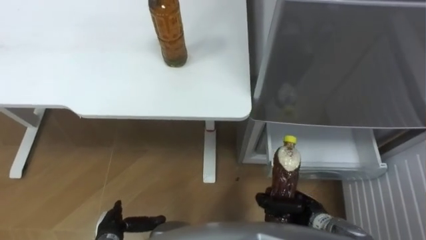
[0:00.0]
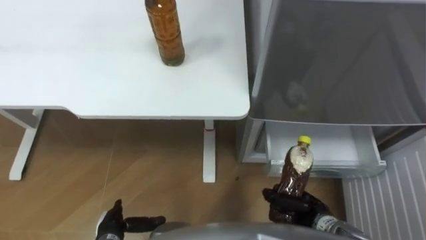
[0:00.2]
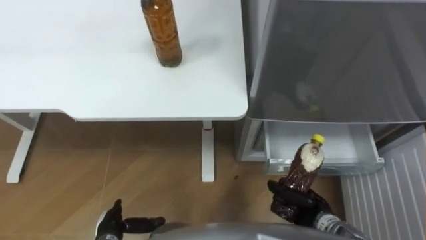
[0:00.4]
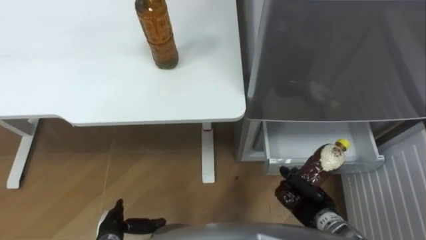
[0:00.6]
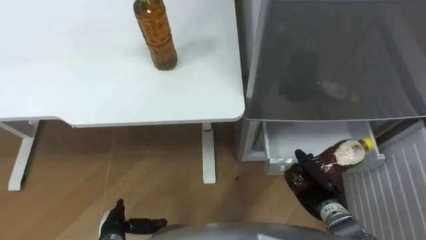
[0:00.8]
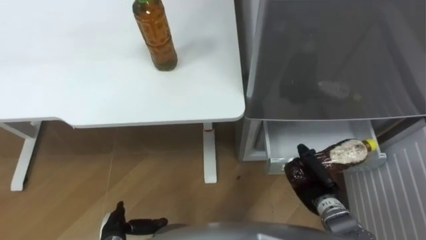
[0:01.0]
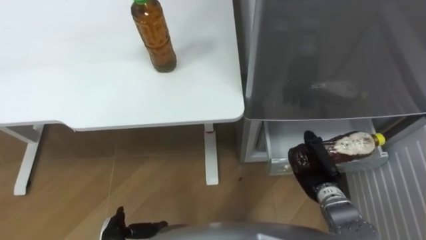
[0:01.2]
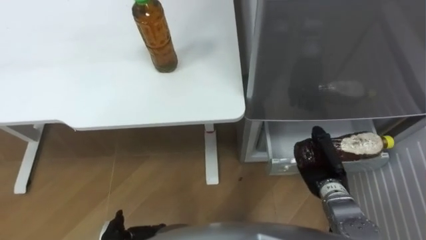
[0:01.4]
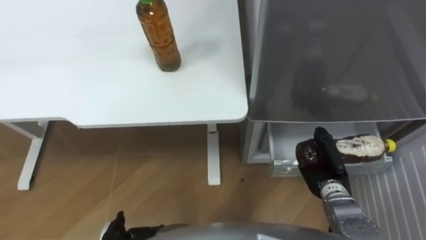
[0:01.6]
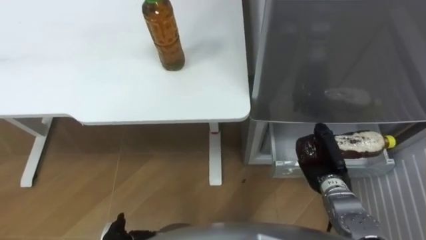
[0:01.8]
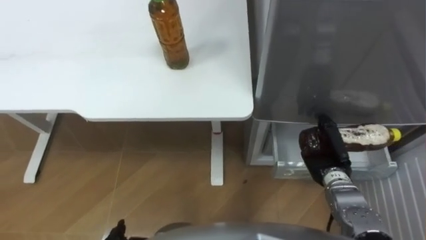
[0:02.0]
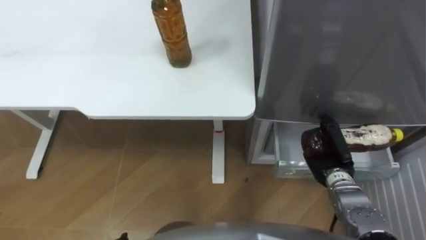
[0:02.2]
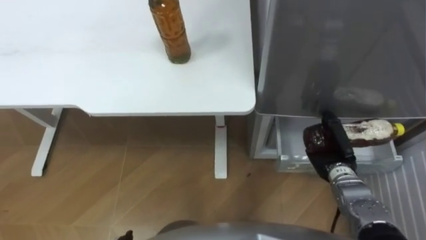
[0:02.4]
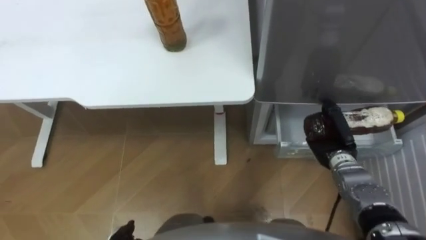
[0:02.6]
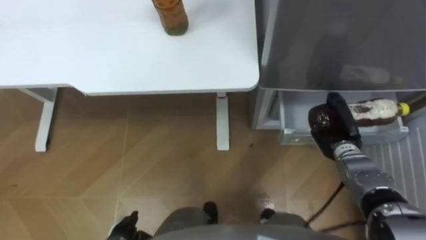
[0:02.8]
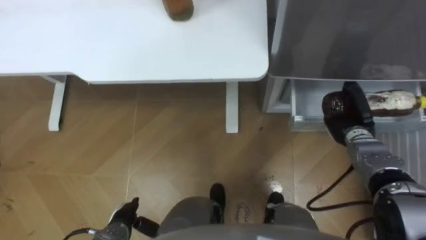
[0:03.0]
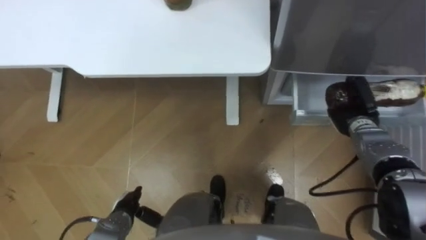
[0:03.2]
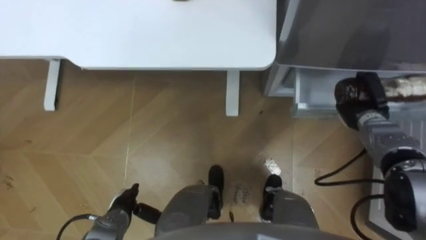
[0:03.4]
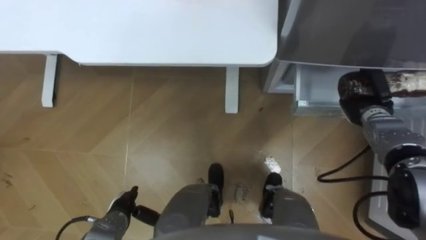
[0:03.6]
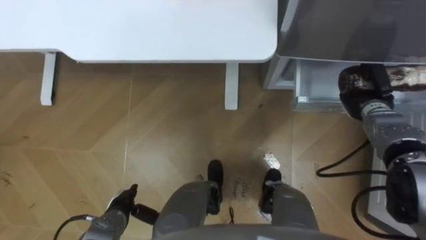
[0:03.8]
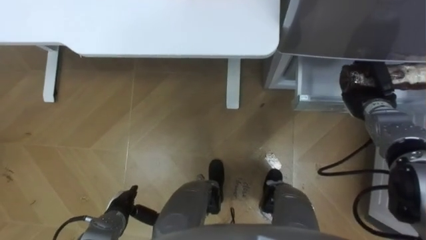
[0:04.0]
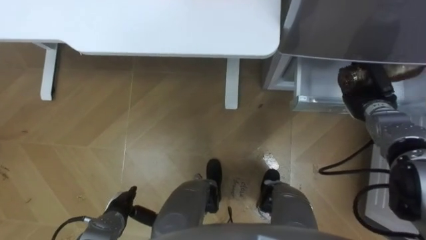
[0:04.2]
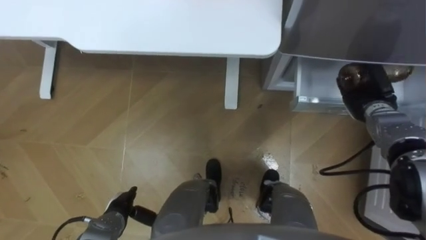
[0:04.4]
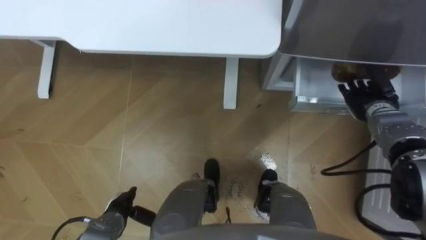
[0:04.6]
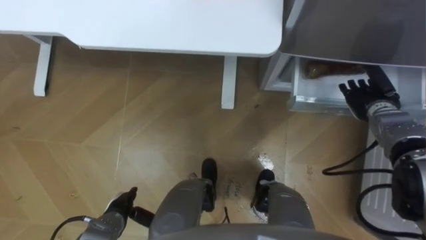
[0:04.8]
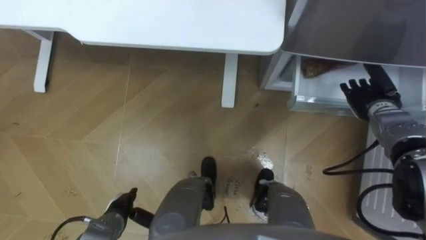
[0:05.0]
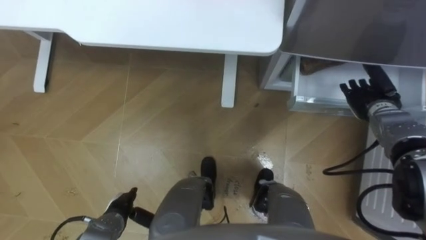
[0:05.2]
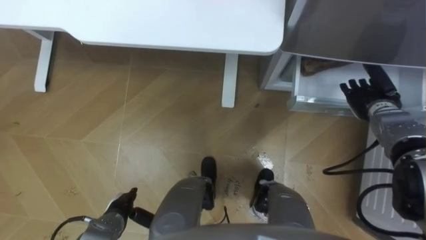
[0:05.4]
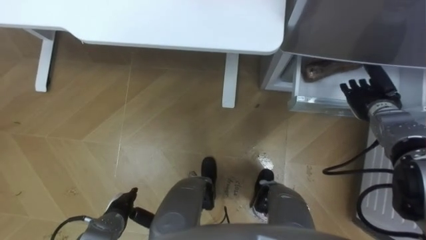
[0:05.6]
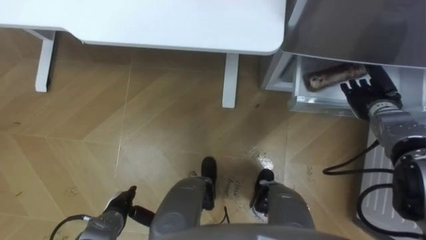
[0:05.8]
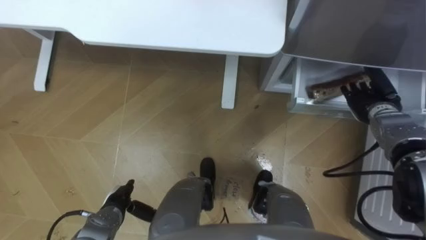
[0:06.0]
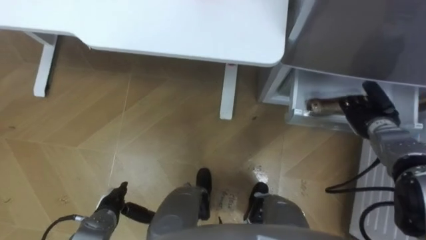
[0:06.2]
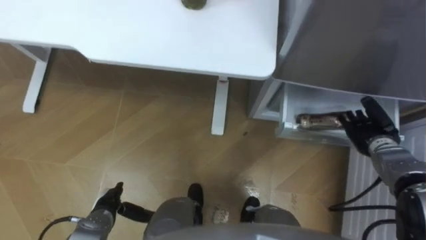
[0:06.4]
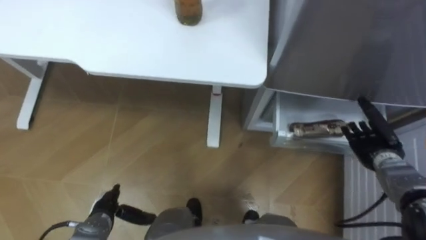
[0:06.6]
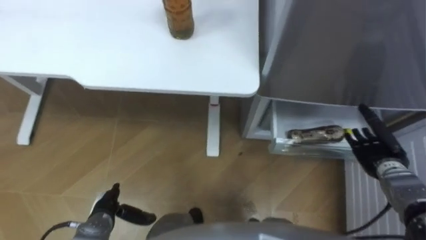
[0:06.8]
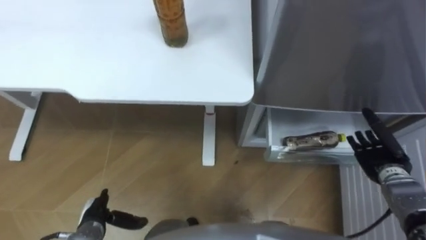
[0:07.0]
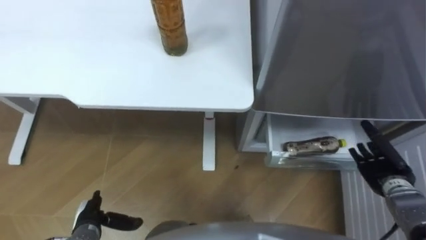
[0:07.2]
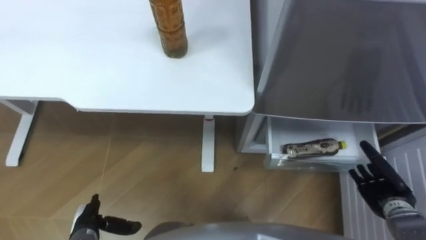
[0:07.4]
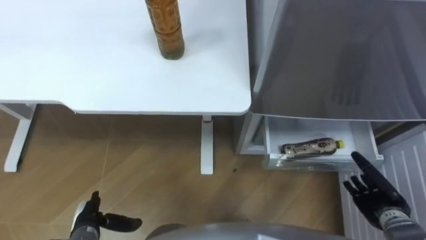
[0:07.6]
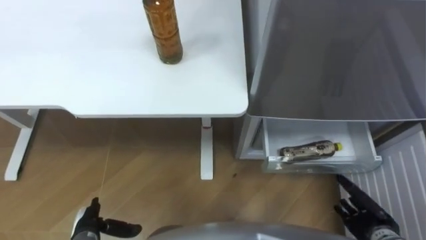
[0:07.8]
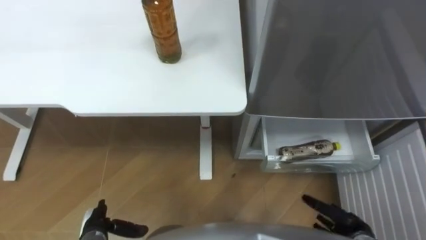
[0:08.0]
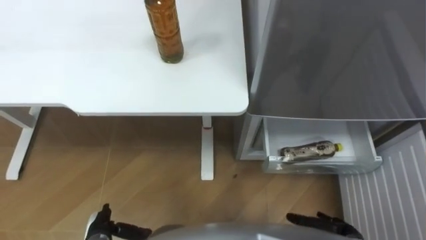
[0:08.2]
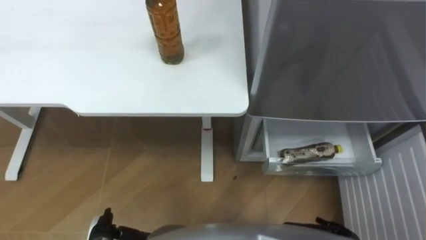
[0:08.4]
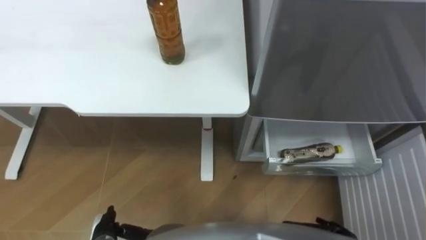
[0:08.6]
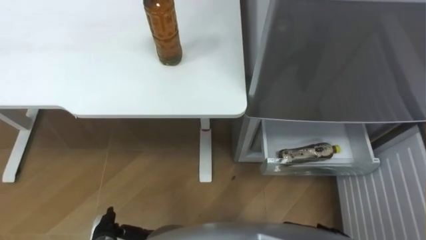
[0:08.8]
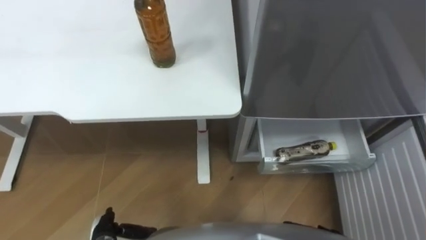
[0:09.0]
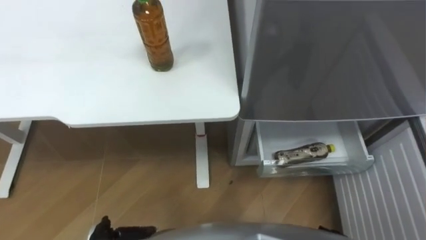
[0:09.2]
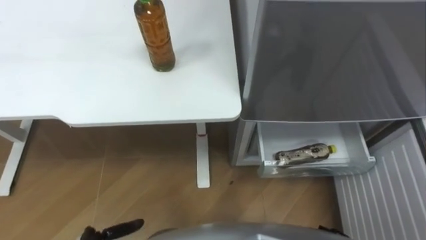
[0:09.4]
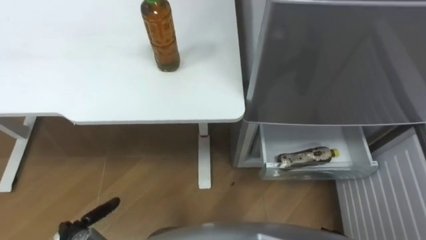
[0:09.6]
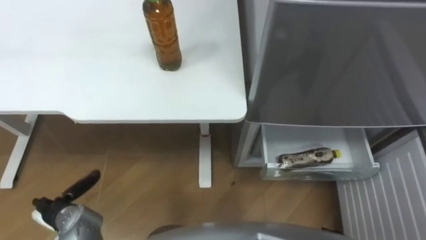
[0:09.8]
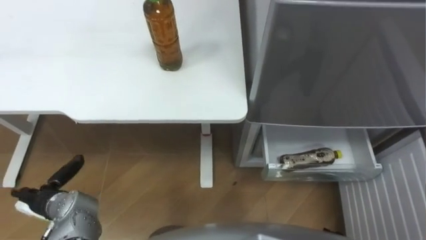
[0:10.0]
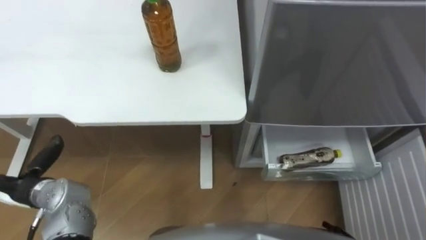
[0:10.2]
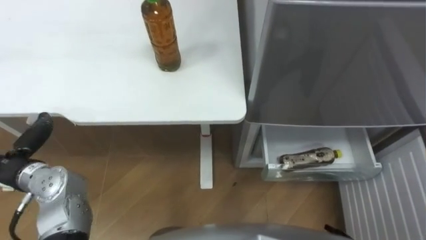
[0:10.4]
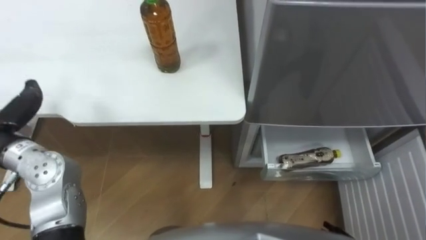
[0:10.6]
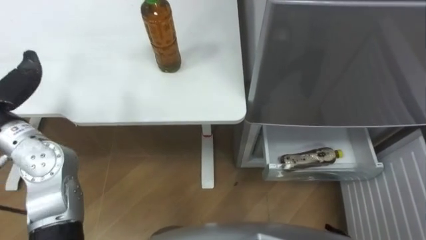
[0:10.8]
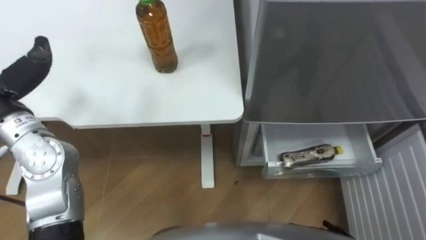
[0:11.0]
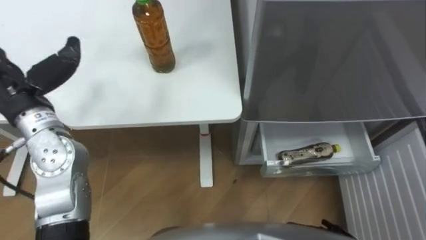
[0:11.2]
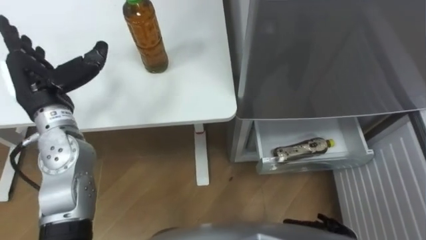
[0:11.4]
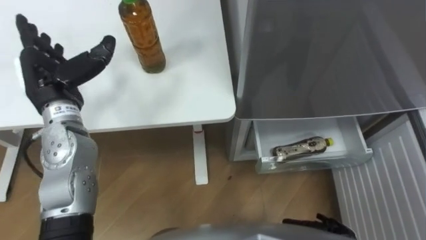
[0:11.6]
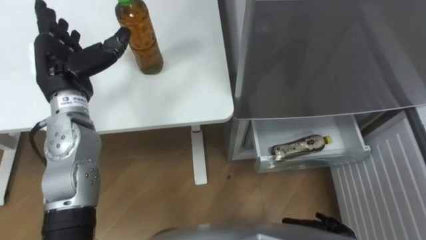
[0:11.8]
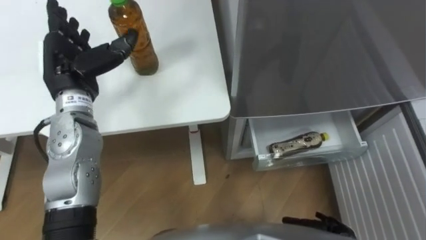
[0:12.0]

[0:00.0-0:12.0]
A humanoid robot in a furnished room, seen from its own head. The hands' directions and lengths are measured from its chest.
Task of the whole recording: Place the drink on the table on the bottom shelf of the refrigerator, then close the drawer and the refrigerator door.
0:00.0 to 0:01.6: The right hand shifts roughly 10 cm forward and to the right.
0:01.6 to 0:03.0: The right hand heads forward and to the right, covering some 10 cm.
0:03.0 to 0:04.4: The right hand shifts by about 5 cm, and opens its fingers.
0:06.0 to 0:07.6: The right hand travels backward and downward by approximately 20 cm, while the left hand is displaced to the left by some 5 cm.

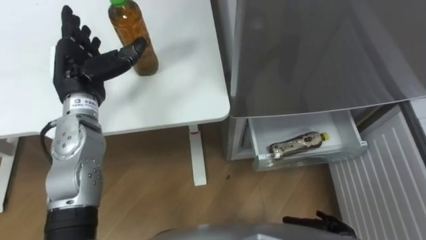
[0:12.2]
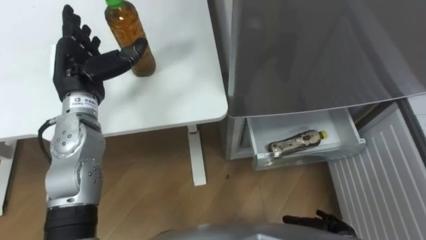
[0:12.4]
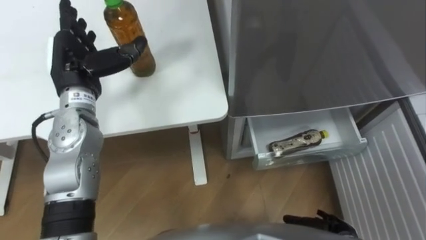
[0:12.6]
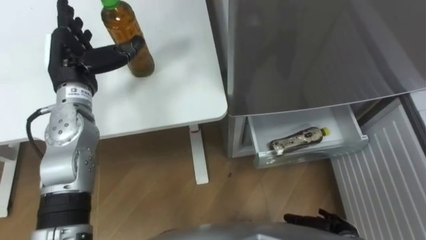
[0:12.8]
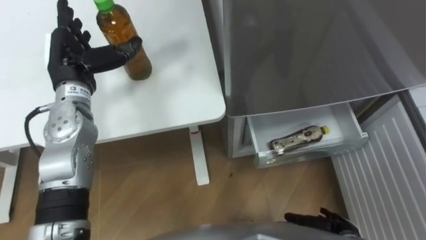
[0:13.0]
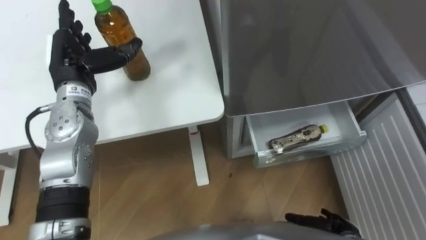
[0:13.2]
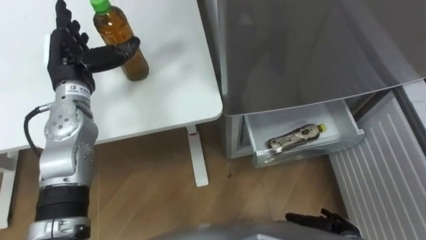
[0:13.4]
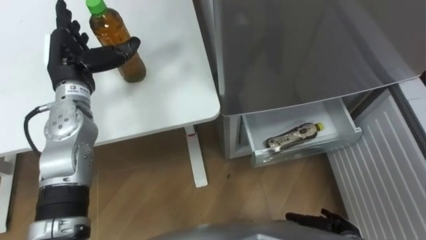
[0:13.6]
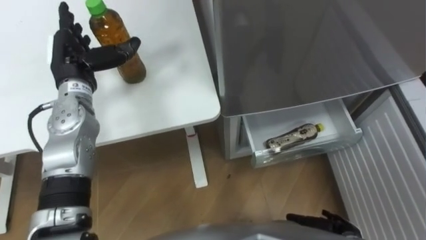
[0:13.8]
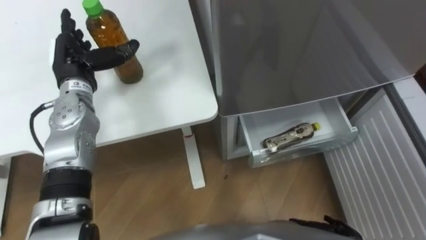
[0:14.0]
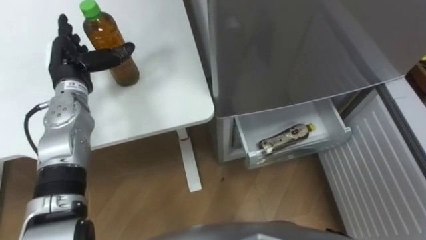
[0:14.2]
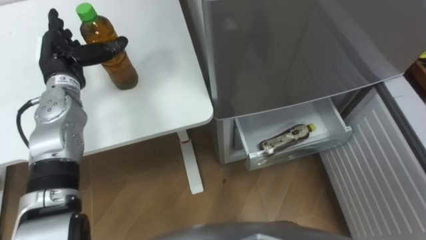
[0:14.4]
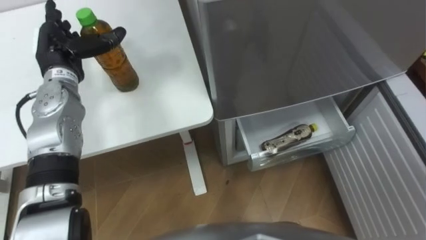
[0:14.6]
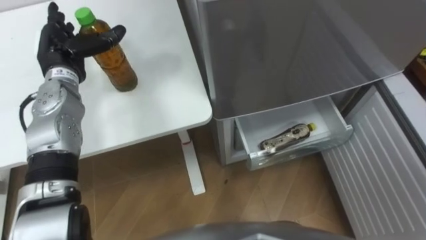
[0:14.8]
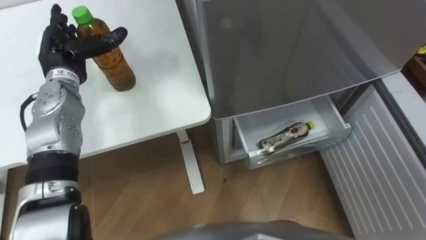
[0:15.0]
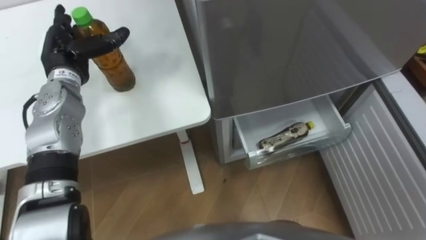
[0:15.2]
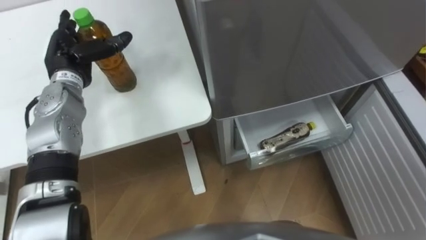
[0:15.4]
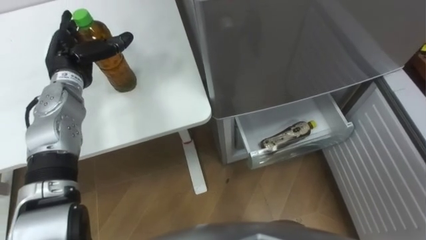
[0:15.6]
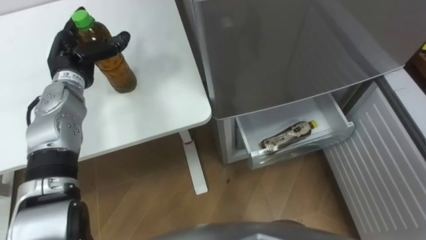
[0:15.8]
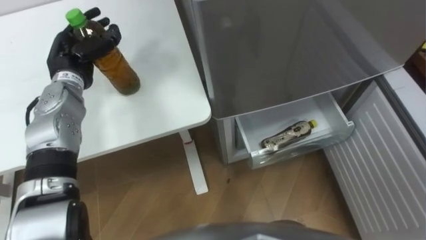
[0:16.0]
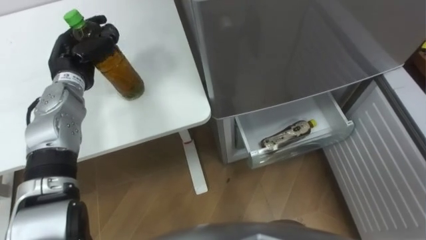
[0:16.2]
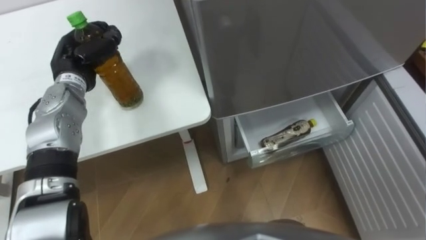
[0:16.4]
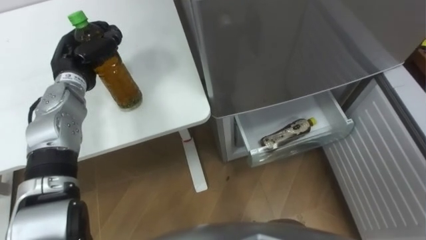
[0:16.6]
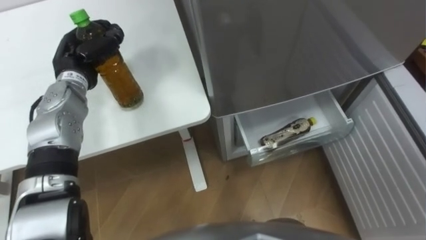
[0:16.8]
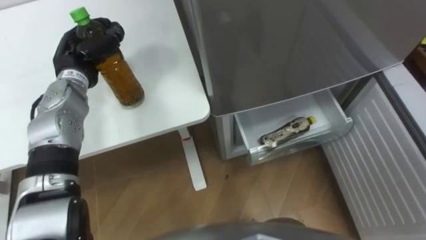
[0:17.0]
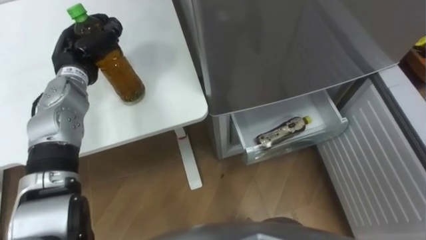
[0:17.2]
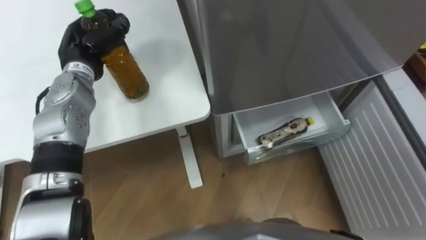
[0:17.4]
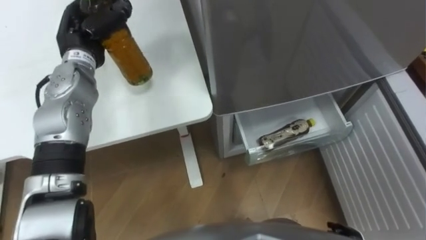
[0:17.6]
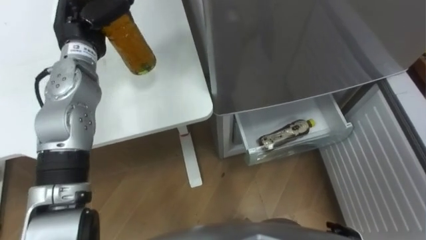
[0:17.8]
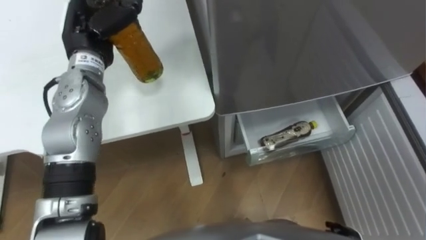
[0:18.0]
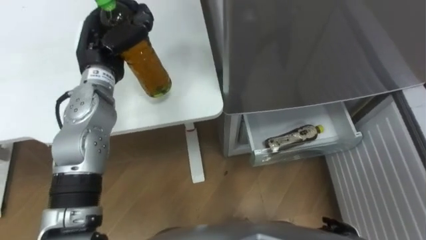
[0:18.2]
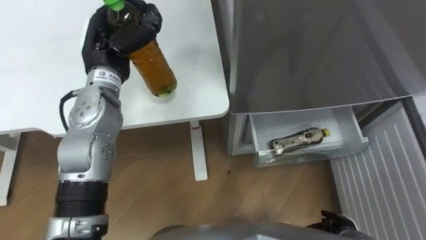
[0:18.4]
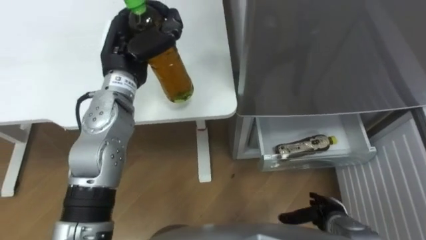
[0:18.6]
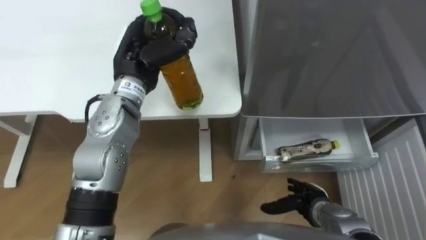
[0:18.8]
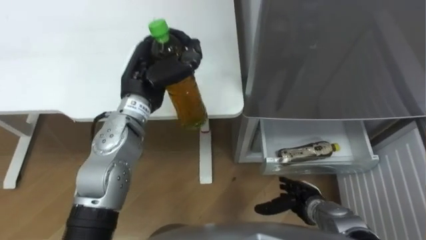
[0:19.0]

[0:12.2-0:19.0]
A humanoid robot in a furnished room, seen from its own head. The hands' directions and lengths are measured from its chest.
Task of the whole recording: Place the drink on the table on the bottom shelf of the refrigerator, then close the drawer and the refrigerator door.
0:15.0 to 0:16.2: The left hand closes up.
0:16.2 to 0:17.6: The left hand changes place by approximately 5 cm.
0:17.6 to 0:19.0: The left hand travels to the right and backward by approximately 15 cm.
